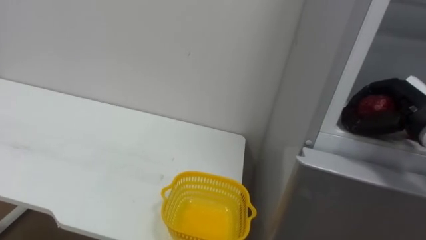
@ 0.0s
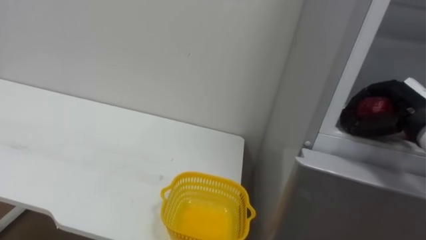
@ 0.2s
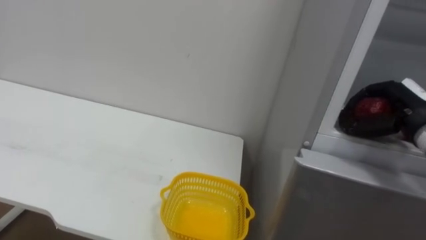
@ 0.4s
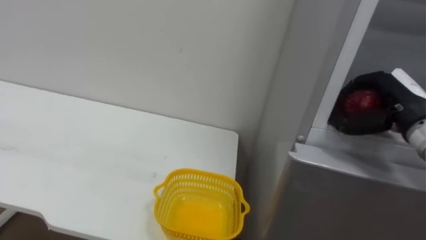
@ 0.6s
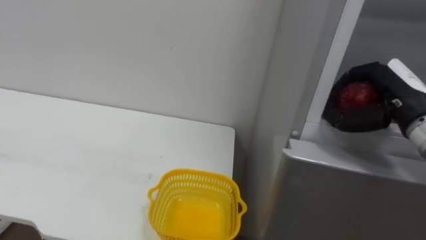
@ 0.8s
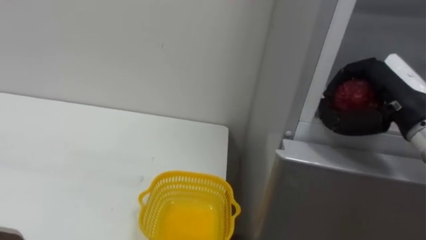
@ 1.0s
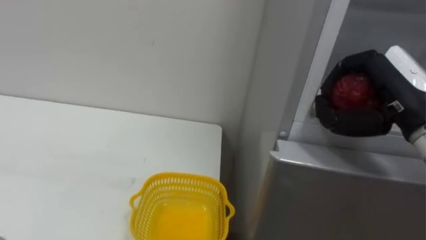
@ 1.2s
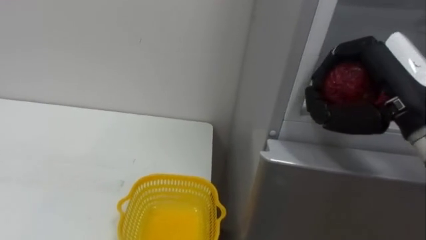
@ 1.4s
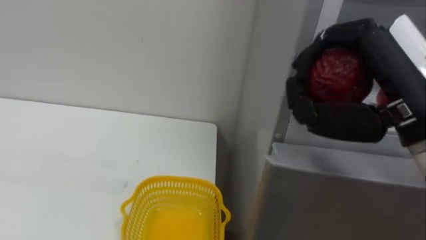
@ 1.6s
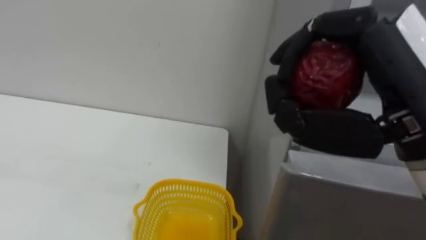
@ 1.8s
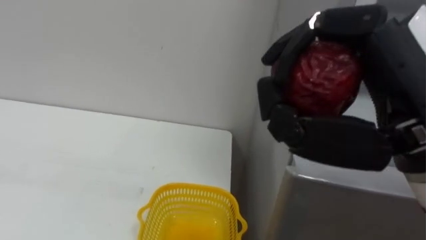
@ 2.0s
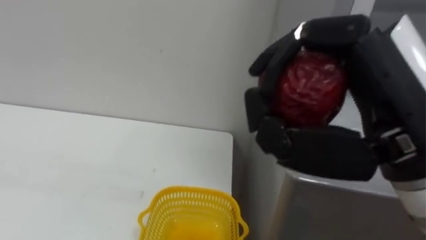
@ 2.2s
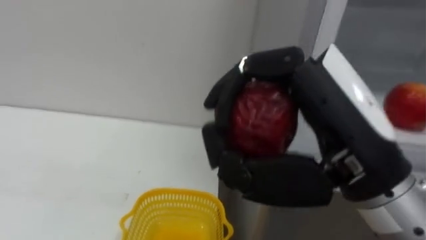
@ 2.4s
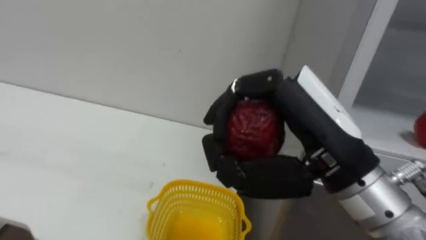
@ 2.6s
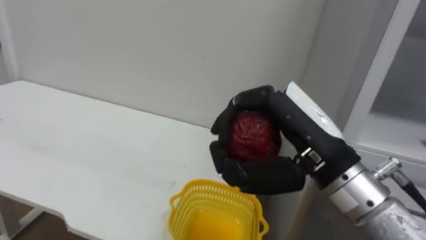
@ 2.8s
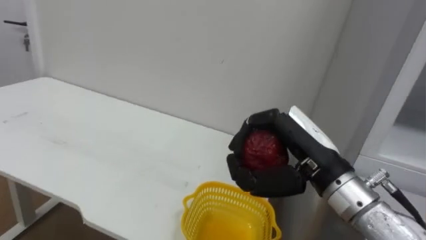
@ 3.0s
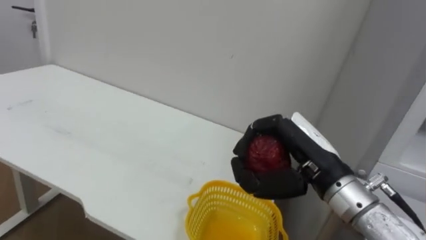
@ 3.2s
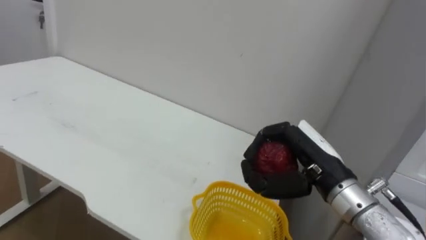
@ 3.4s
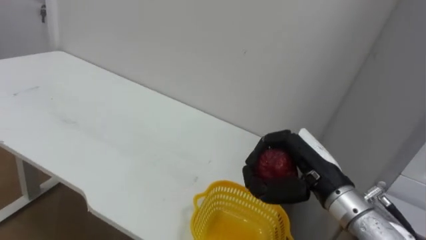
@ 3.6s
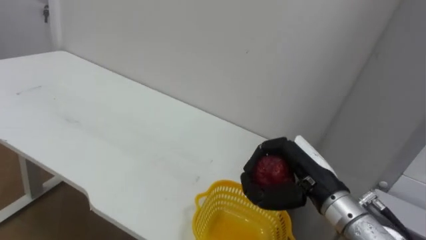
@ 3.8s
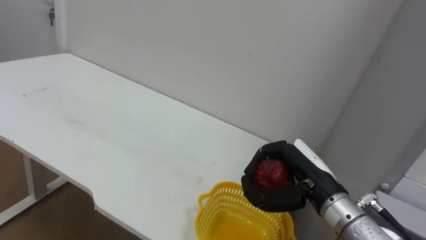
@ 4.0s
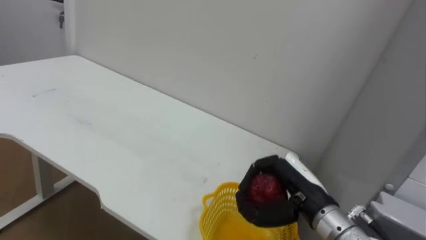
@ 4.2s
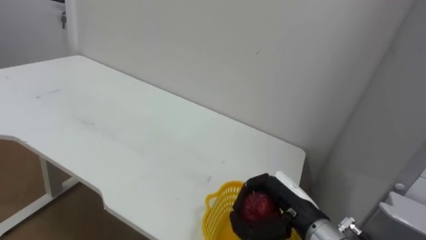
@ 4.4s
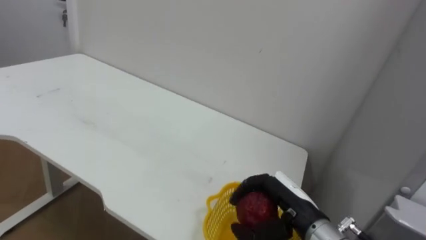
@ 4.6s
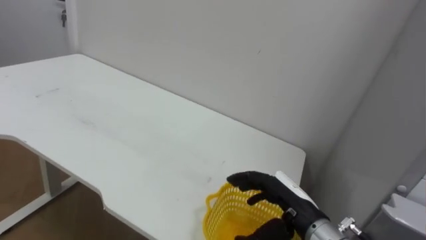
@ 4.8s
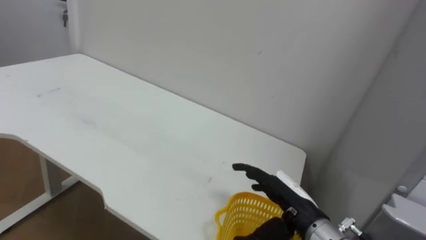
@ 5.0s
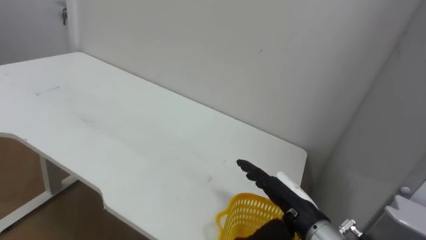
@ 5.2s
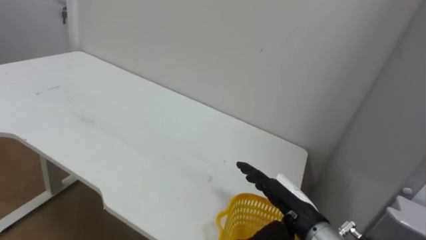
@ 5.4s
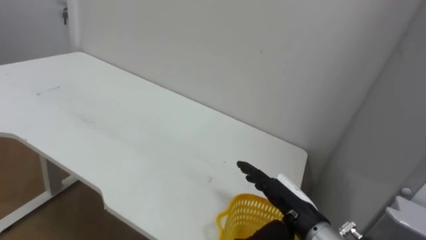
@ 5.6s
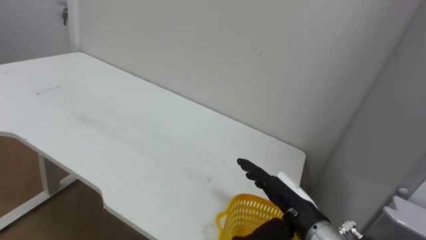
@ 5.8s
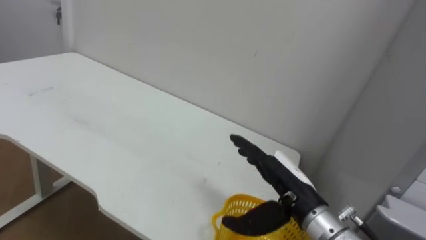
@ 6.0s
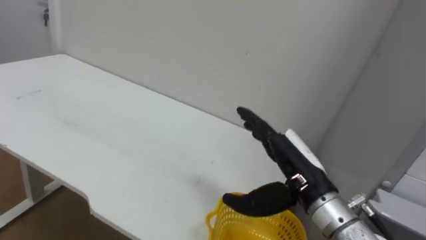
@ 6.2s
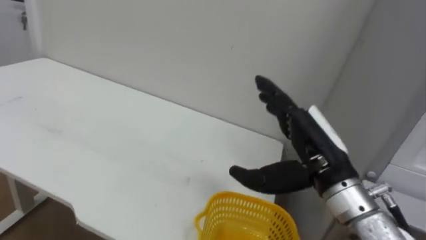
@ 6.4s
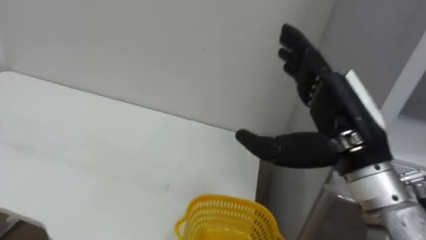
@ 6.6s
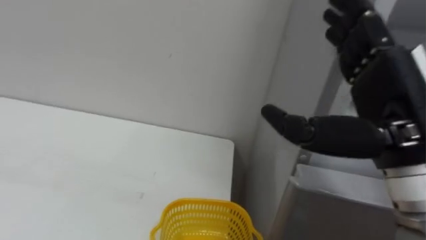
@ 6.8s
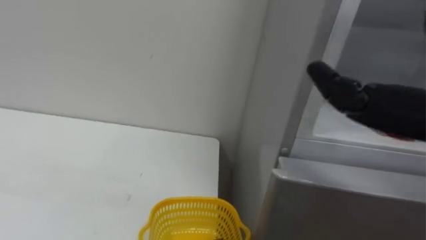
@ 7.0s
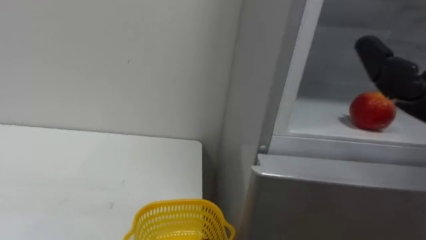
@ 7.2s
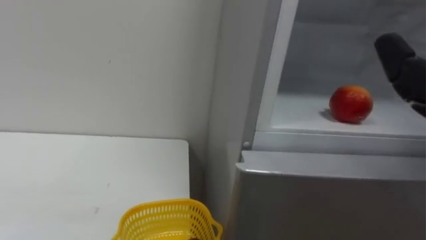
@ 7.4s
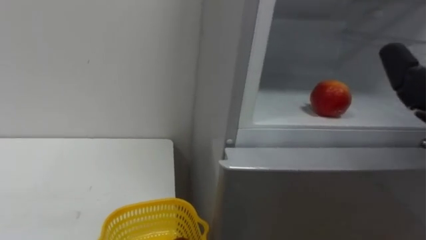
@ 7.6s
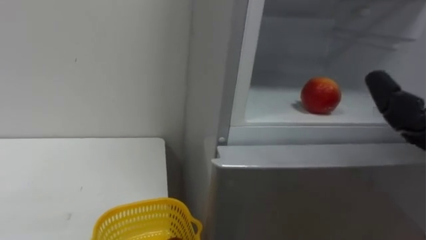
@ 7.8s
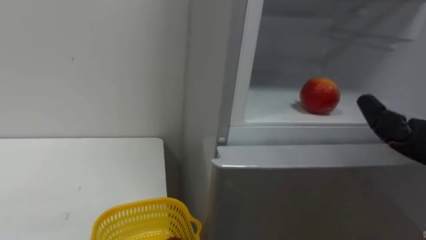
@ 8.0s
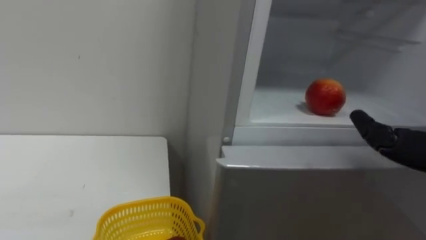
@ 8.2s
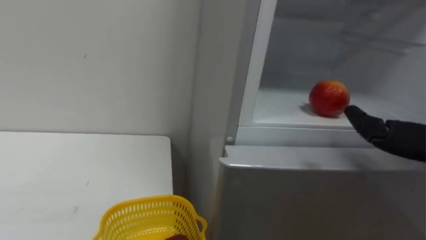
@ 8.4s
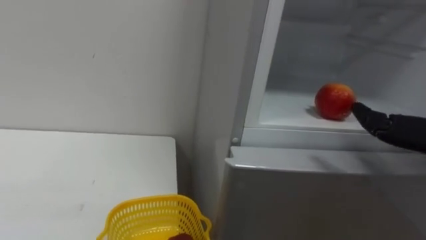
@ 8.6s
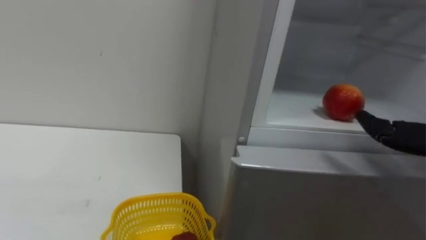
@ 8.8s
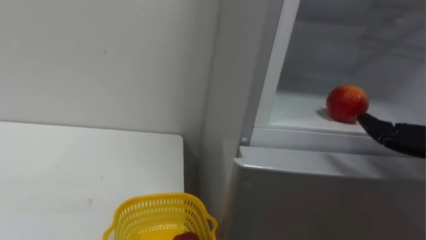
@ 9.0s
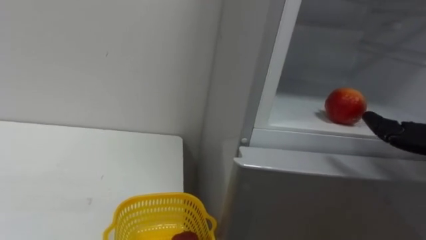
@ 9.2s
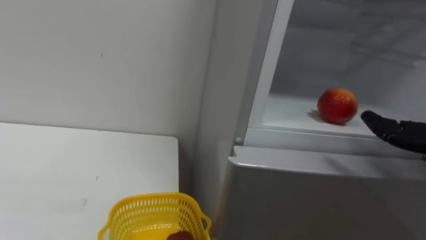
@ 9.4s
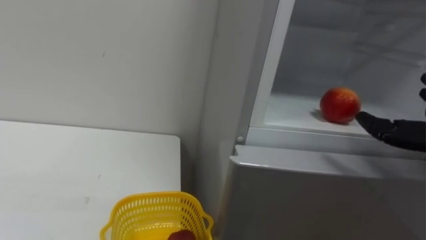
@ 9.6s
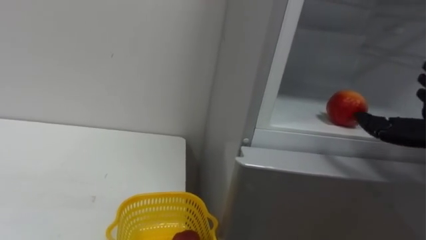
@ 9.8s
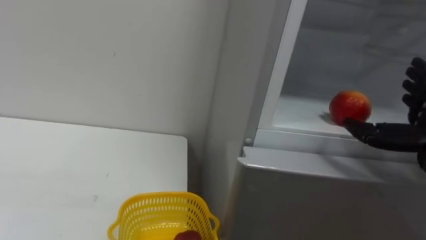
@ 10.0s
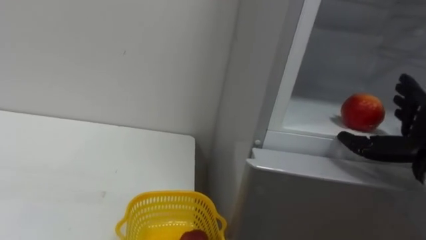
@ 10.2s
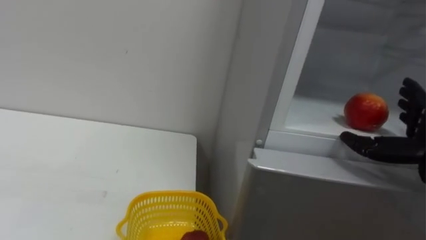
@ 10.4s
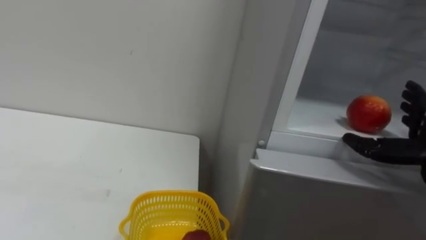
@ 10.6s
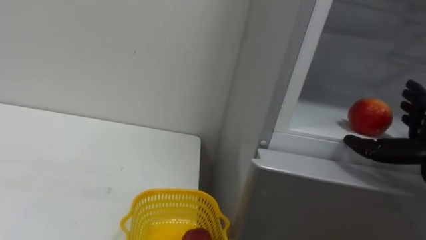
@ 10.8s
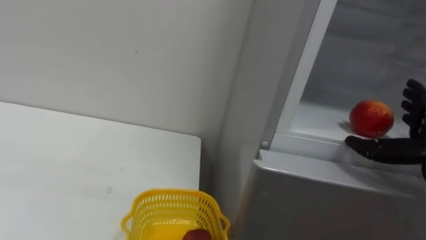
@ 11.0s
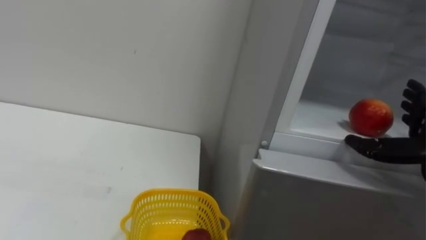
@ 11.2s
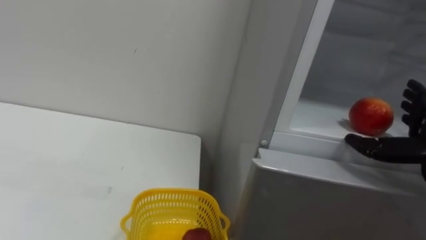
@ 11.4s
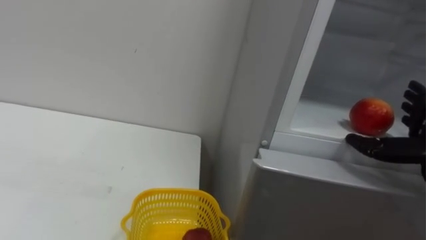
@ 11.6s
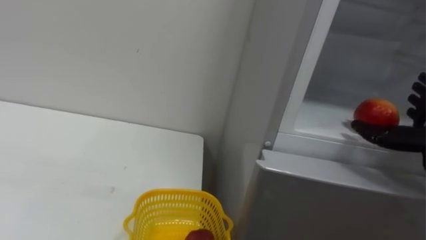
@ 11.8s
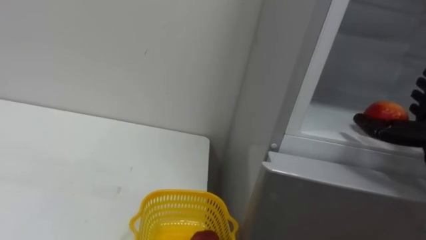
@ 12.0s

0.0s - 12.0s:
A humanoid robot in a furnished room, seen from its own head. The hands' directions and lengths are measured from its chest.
Task of the whole recording: Open the refrigerator door, take out the apple and the pomegranate, place them in the fruit basket on the left, and close the refrigerator door.
0.0s - 1.6s: The right hand shifts approximately 20 cm backward, to the left and upward.
1.6s - 3.0s: The right hand travels downward and to the left by about 15 cm.
3.0s - 4.4s: The right hand shifts roughly 15 cm downward.
4.4s - 6.0s: The right hand opens up.

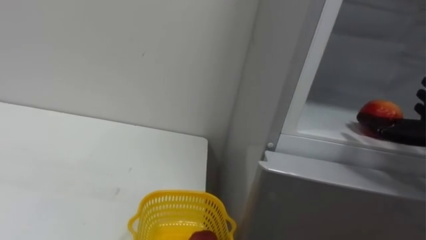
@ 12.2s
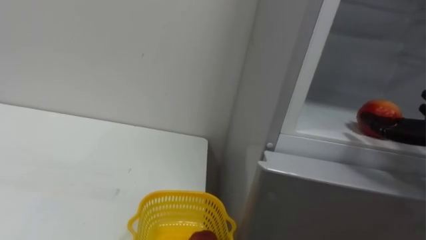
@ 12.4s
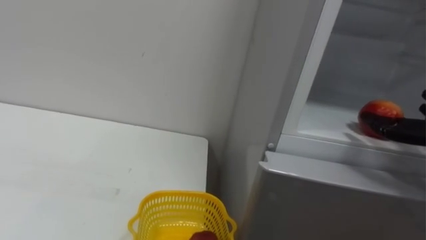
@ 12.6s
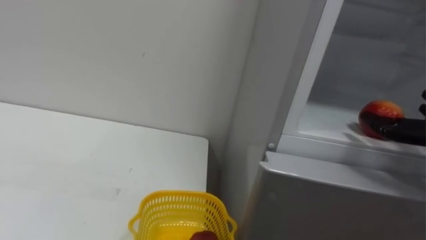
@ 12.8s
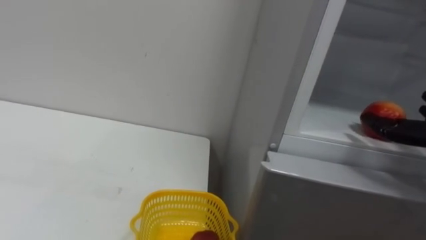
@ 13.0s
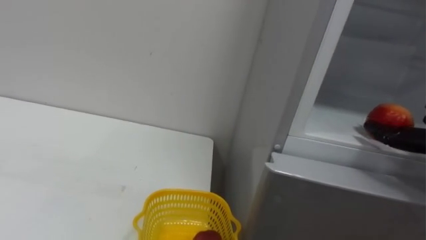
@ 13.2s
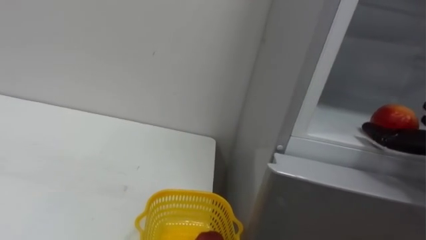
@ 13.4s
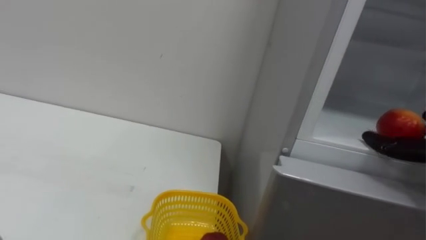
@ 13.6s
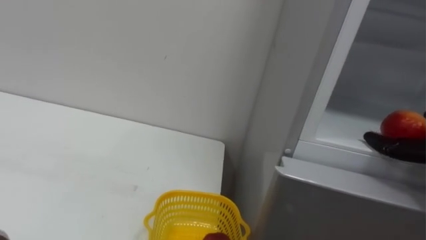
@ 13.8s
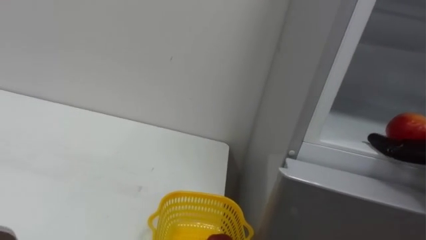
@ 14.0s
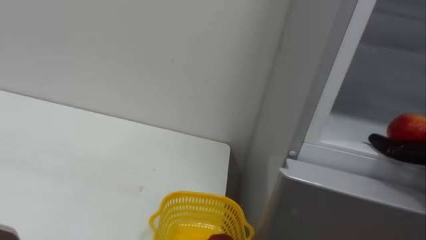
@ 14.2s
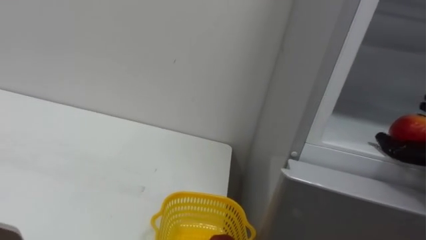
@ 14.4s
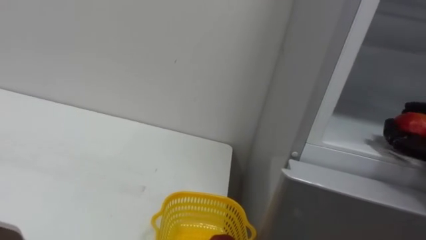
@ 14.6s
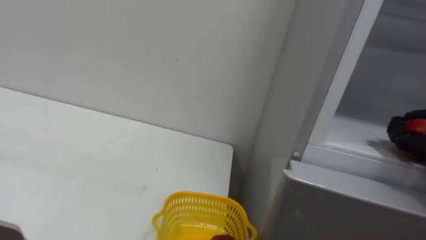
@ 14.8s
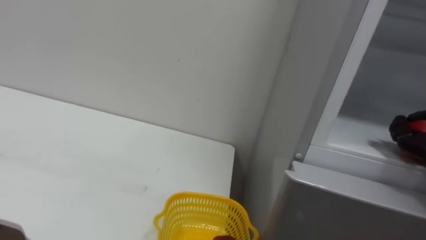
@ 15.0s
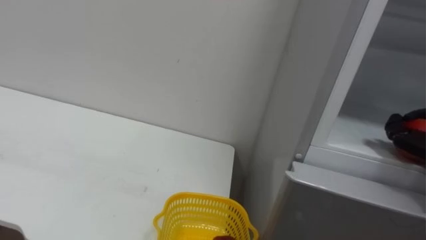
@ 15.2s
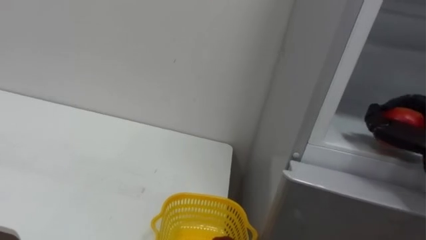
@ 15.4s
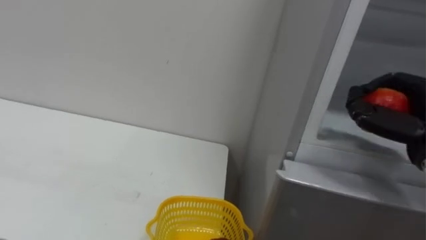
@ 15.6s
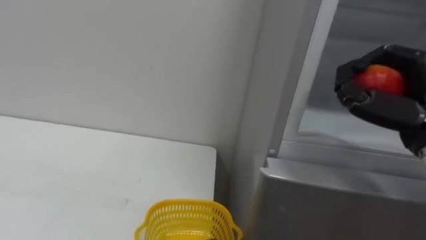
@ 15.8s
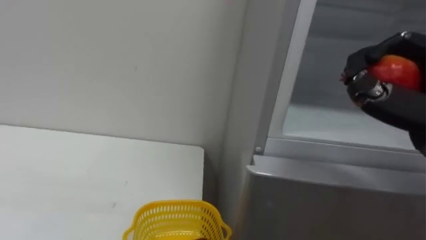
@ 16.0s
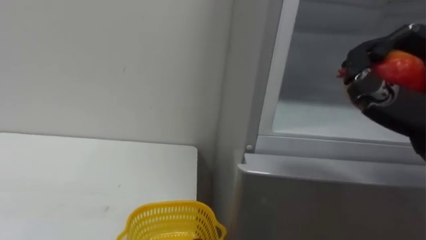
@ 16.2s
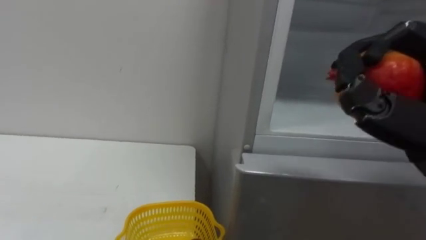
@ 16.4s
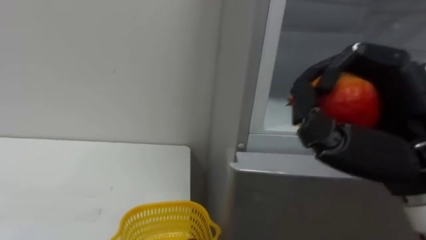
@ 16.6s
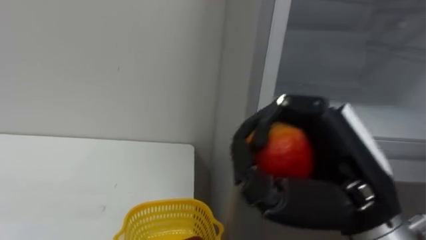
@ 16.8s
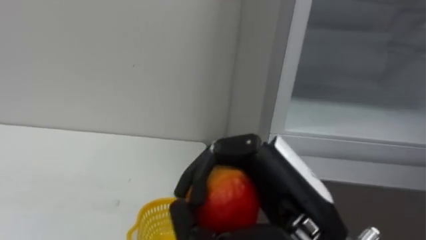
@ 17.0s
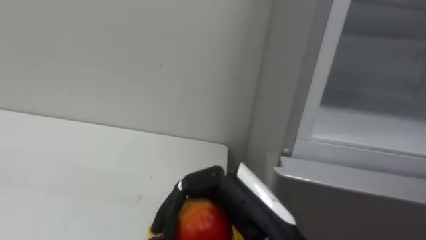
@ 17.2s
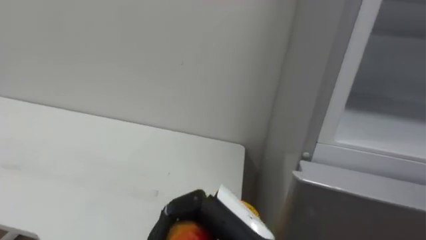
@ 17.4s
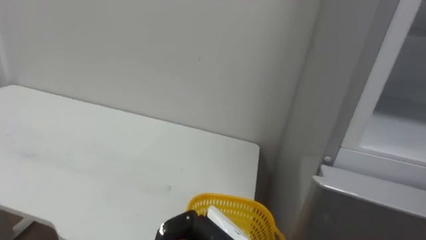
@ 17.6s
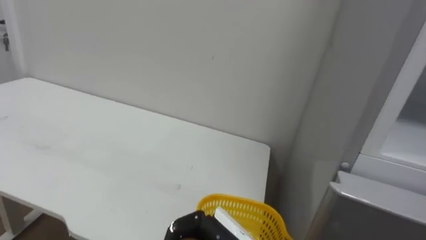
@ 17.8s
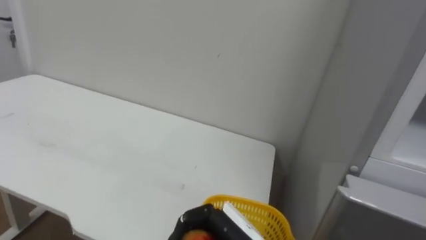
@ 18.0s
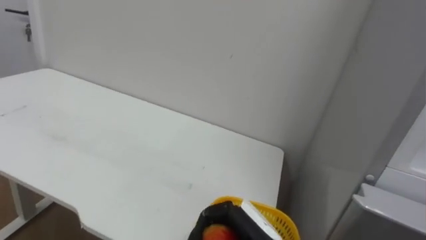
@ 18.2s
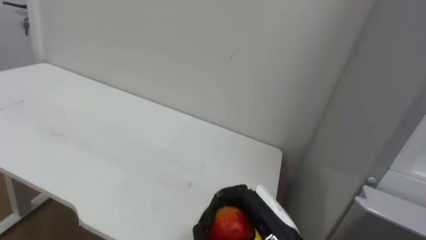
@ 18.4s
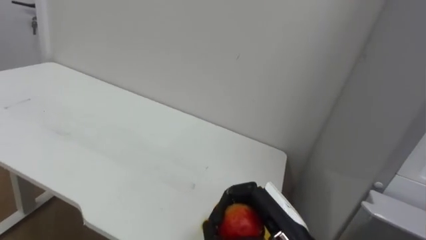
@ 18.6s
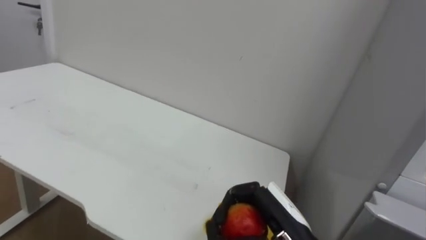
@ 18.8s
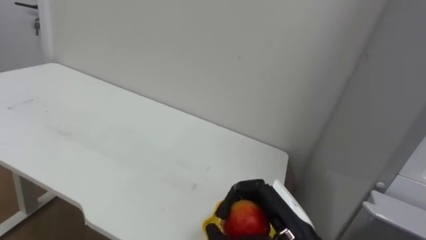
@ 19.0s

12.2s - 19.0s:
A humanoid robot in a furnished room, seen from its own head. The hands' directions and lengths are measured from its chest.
Task of the whole recording: Open the refrigerator door, take out the apple and the pomegranate, place them in the fruit basket on the left, and close the refrigerator door.
17.6s - 19.0s: The right hand travels to the right and forward by approximately 10 cm.
